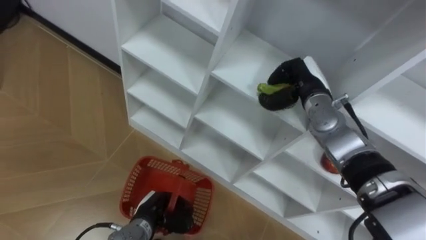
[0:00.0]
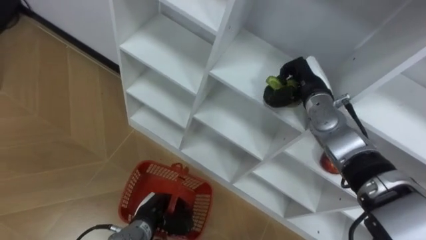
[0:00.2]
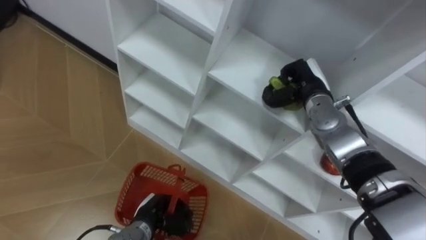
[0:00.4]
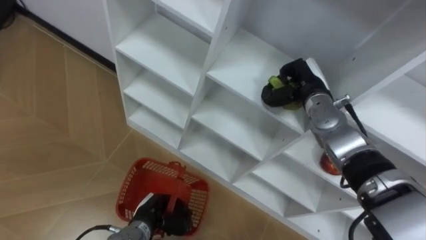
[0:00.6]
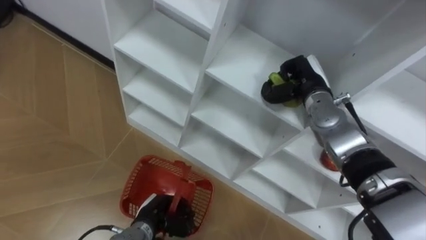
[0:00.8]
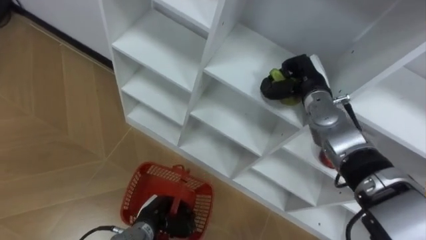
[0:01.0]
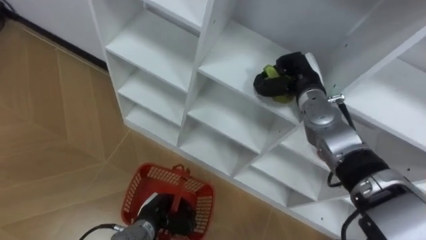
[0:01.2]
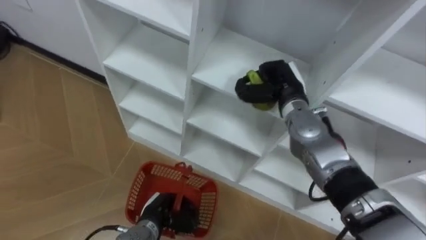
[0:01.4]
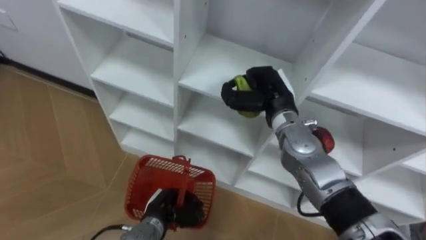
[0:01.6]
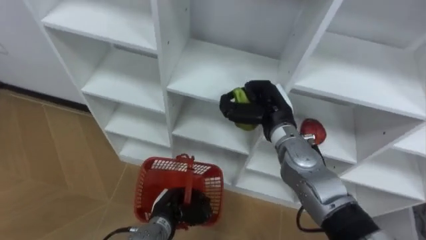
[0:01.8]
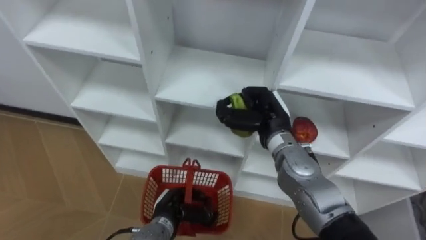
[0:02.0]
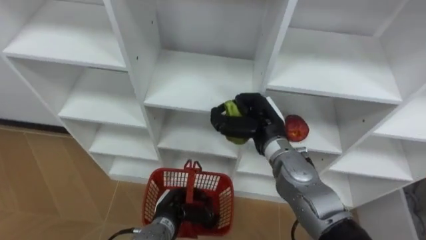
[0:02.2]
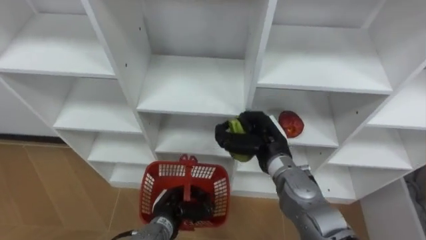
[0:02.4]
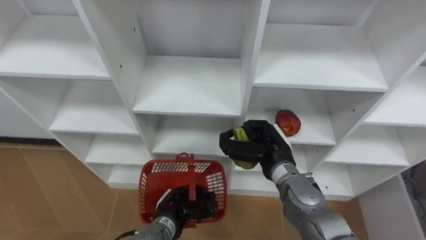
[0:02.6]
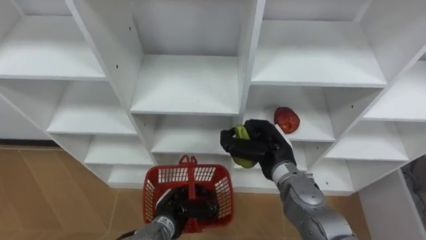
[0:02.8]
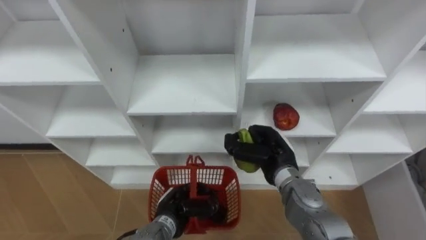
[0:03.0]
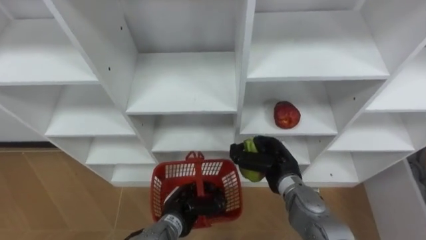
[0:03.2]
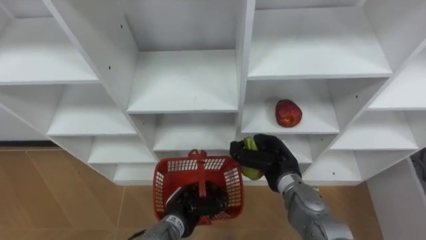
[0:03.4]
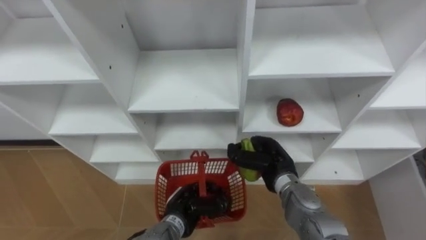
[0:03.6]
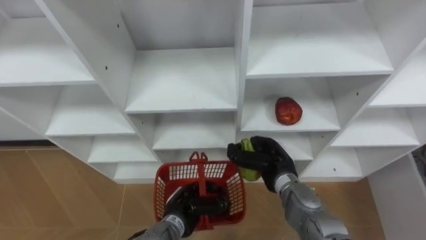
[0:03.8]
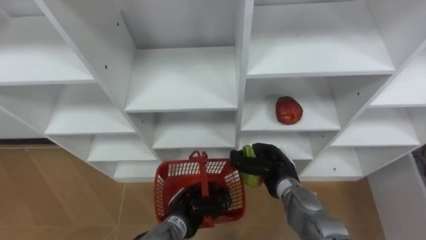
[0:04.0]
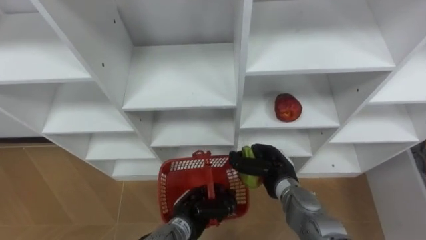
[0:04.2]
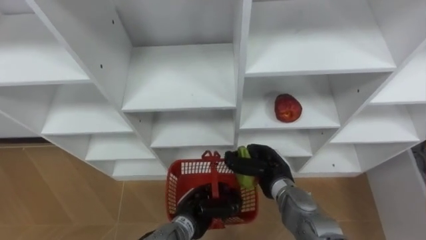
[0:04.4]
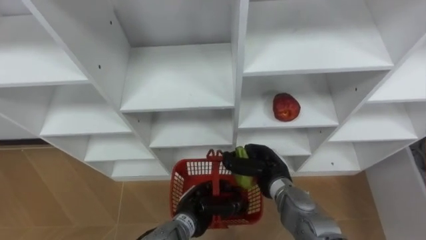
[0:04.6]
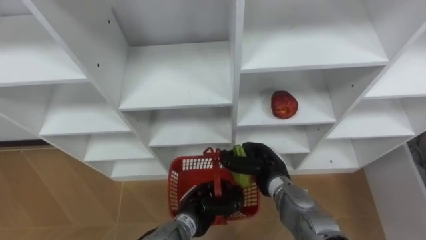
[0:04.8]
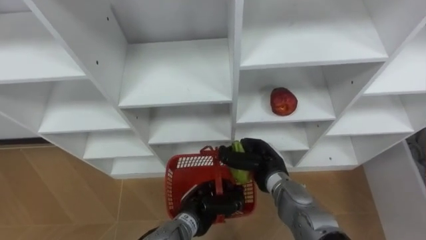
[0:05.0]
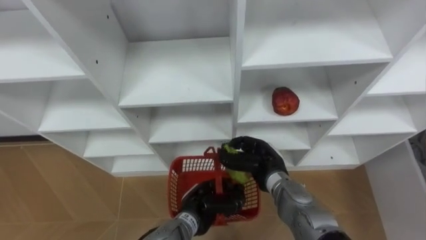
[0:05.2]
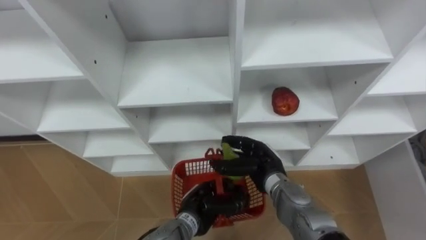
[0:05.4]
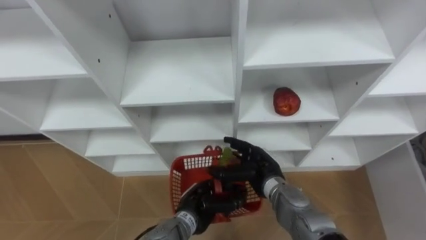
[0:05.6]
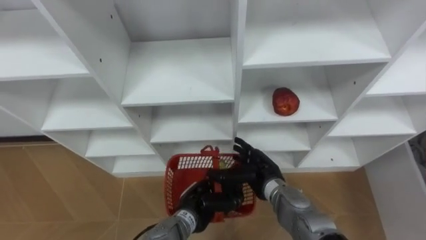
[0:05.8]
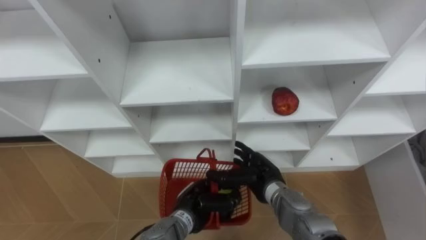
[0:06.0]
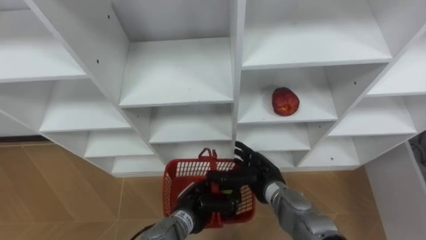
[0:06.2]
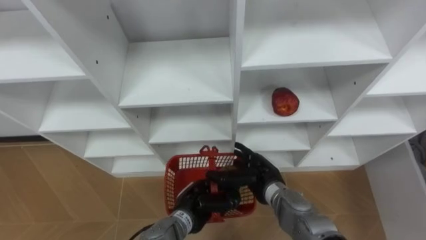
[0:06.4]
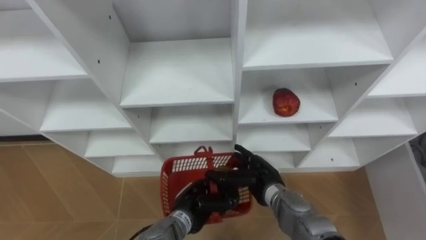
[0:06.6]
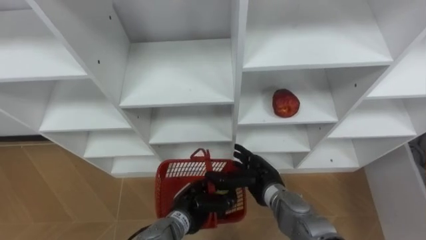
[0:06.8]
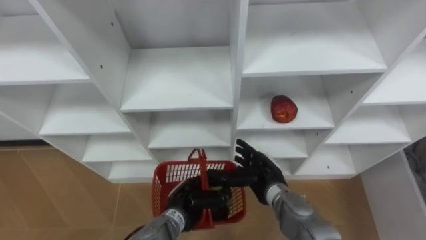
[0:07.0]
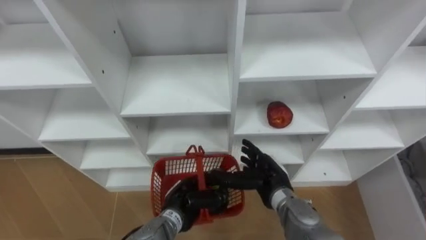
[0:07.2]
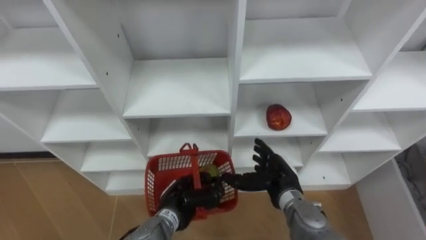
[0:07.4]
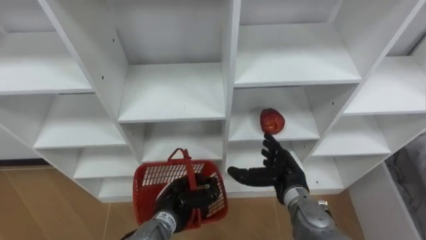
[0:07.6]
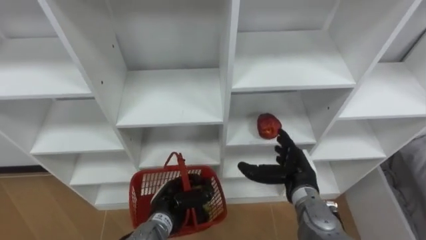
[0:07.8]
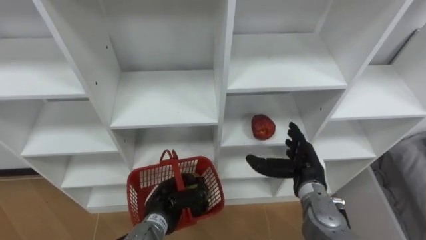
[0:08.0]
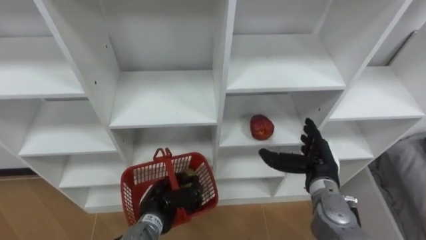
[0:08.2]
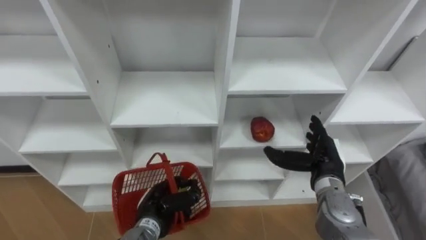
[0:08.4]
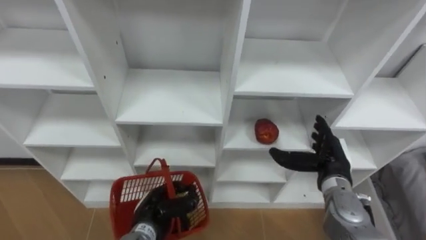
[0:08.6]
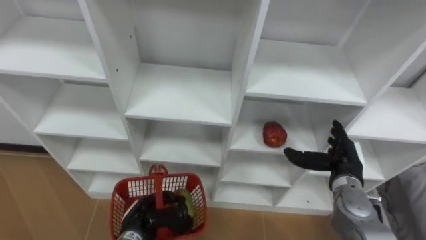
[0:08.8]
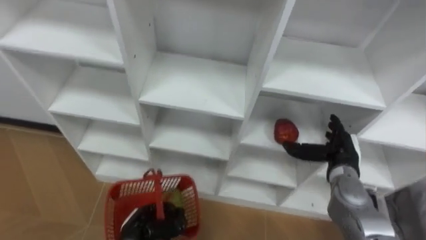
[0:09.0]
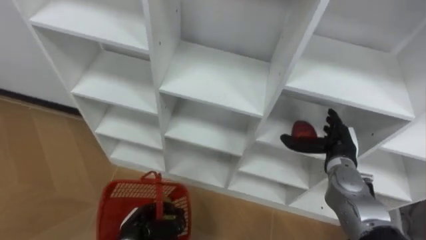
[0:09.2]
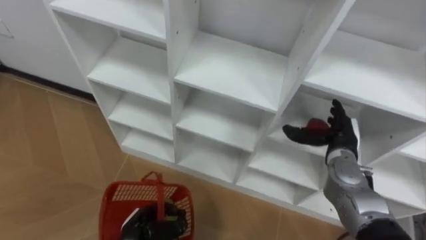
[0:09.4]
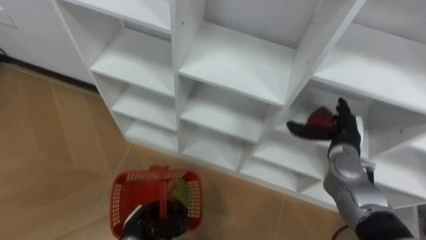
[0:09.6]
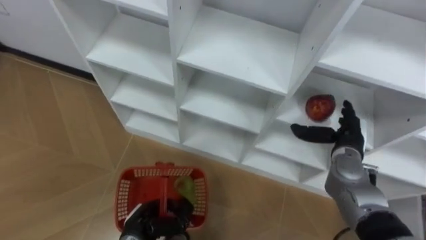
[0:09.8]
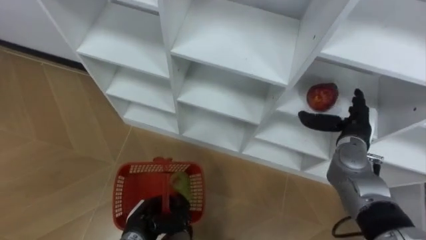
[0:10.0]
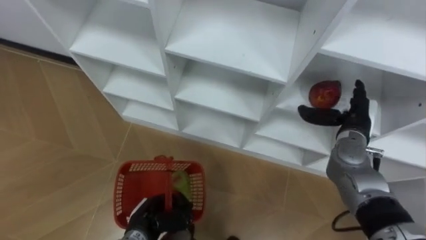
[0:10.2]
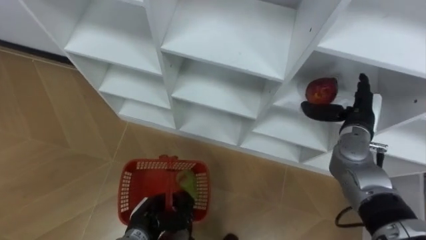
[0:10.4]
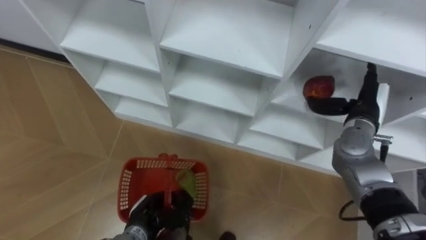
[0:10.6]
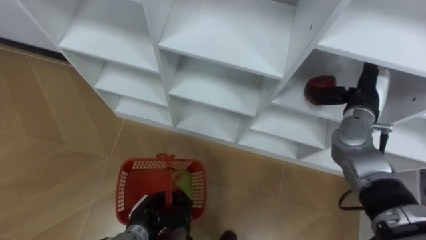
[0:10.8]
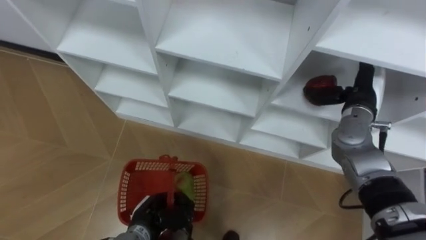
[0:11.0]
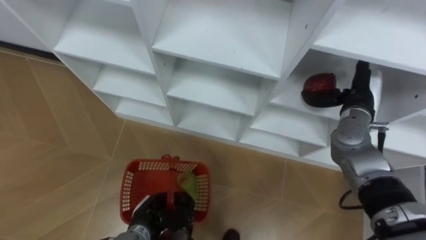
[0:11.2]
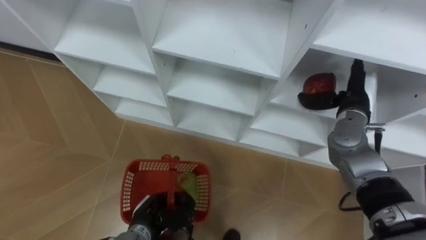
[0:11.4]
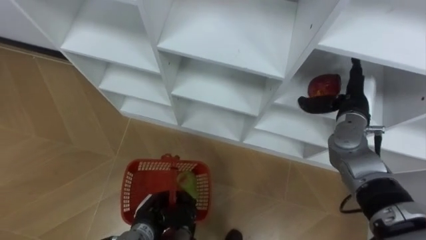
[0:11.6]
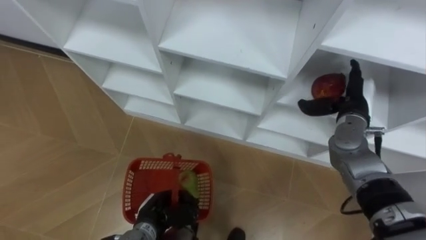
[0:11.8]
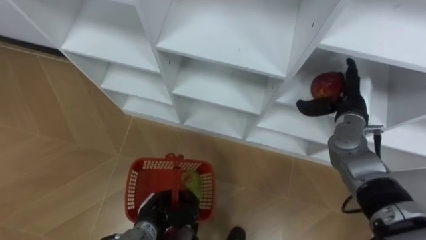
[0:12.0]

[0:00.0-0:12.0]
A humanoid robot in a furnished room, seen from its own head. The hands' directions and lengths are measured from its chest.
Task of the whole recording: Hold the basket and collect the fruits from 3 different cells of the closet into it.
0:00.0 to 0:01.6: The right hand travels to the left by about 5 cm.
0:01.6 to 0:03.0: The right hand travels downward and backward by some 10 cm.
0:03.0 to 0:04.4: The right hand shifts about 5 cm downward.
0:04.4 to 0:06.0: The right hand opens up.
0:06.0 to 0:07.6: The right hand travels to the right by some 5 cm.
0:07.6 to 0:09.0: The left hand travels to the left by roughly 10 cm, while the right hand travels to the right by some 10 cm.
0:09.0 to 0:10.4: The right hand travels upward and forward by roughly 10 cm.

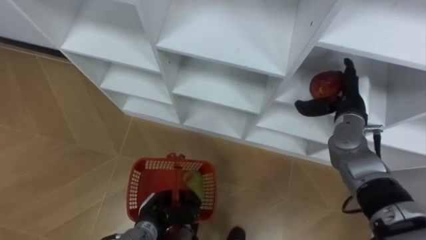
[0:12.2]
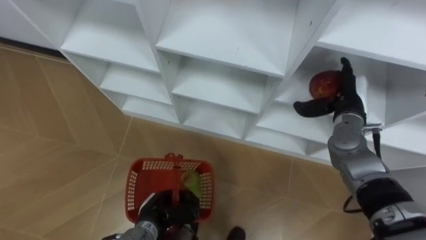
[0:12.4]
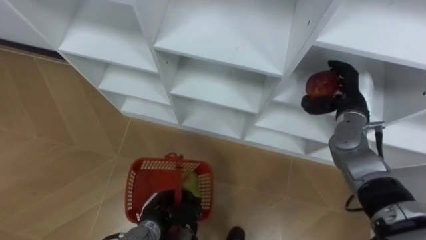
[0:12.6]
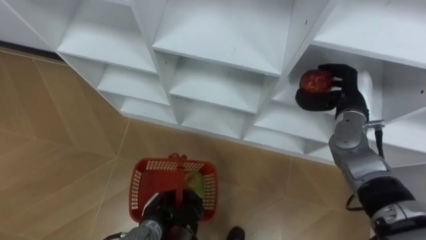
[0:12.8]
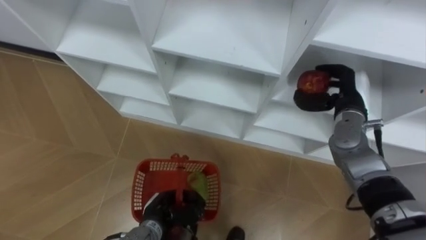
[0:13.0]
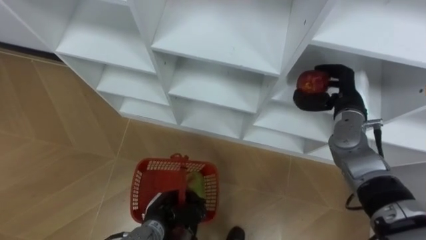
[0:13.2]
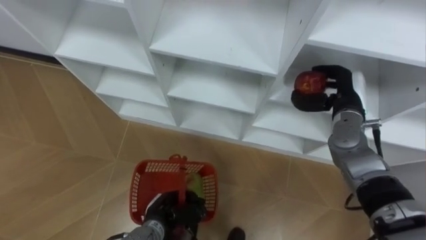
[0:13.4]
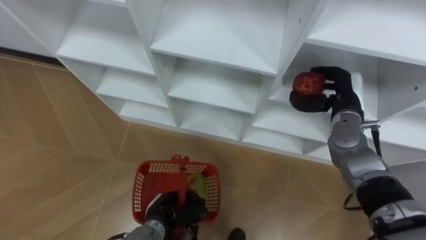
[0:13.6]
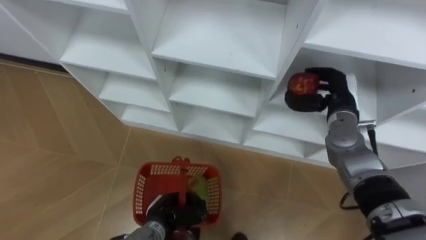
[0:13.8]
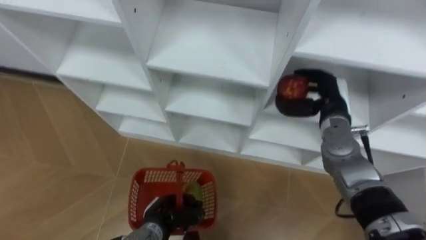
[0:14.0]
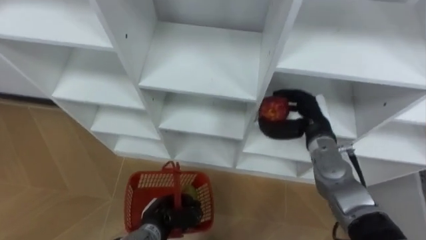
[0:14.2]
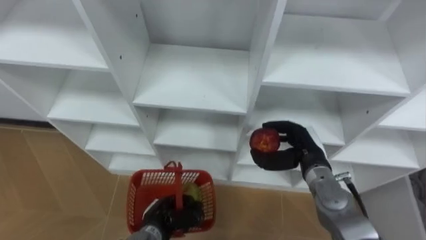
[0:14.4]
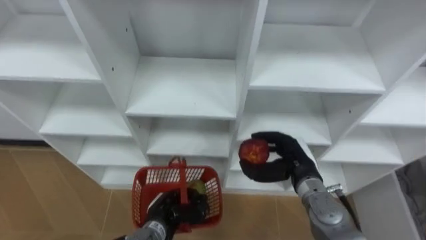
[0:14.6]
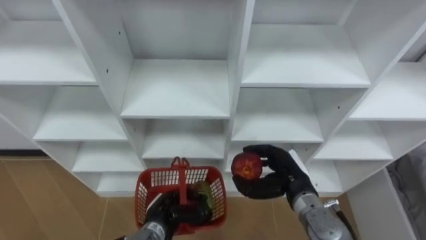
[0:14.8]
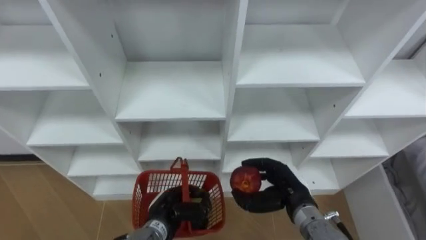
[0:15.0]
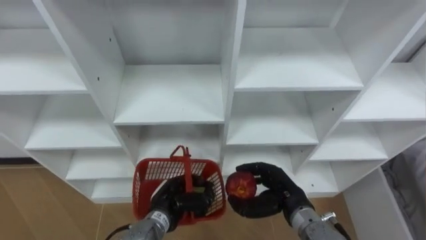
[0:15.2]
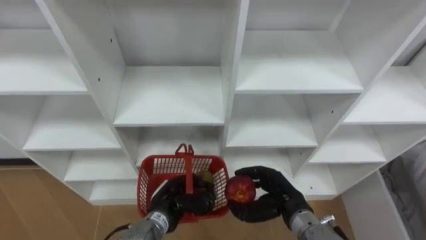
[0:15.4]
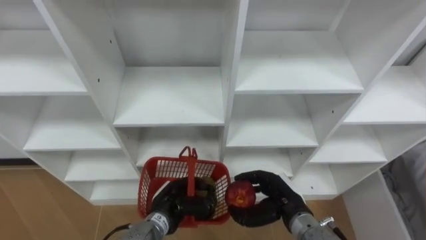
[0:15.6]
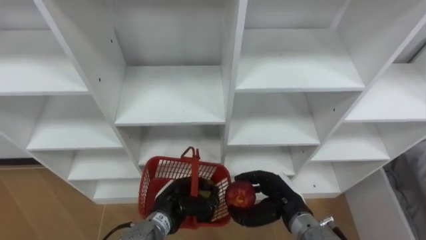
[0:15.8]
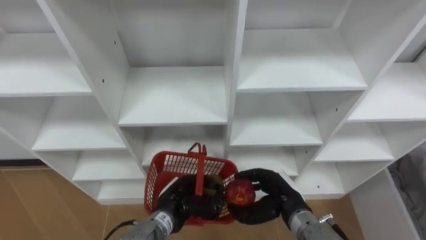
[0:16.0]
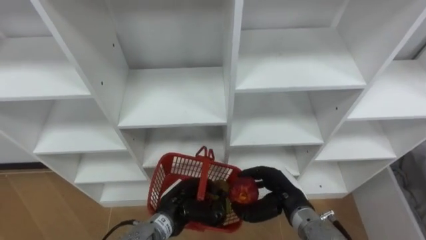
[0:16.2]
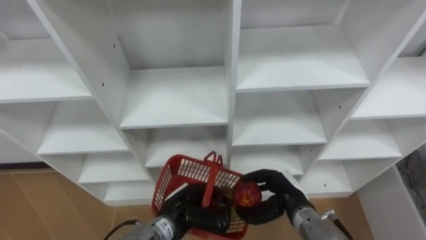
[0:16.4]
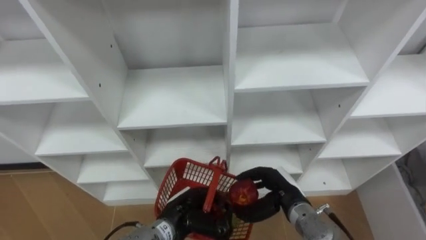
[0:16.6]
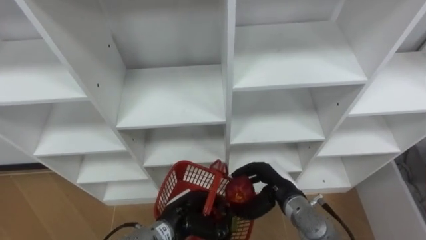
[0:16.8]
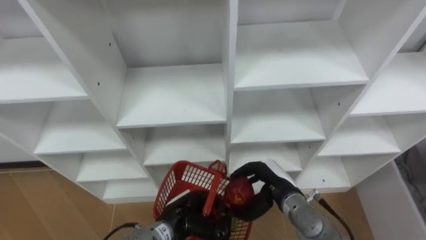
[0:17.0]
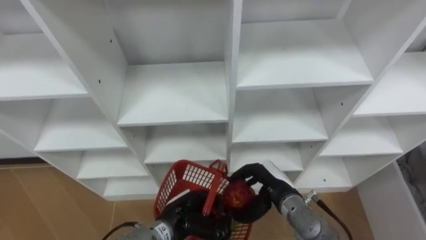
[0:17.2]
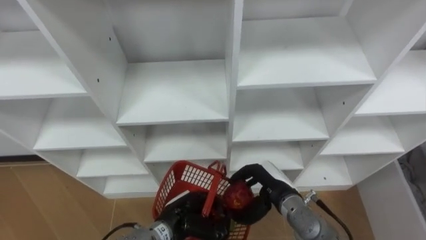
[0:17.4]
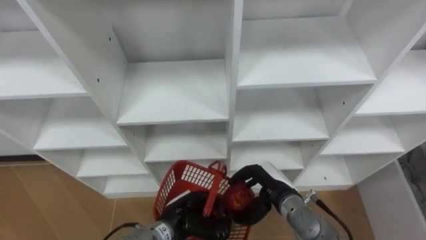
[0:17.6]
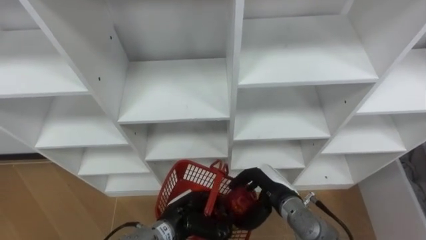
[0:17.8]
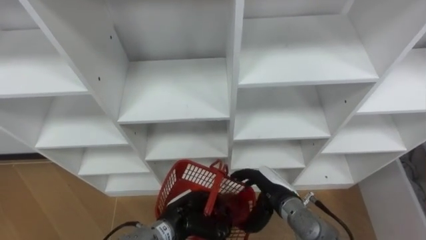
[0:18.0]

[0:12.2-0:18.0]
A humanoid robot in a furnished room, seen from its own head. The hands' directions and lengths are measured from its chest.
Task of the whole recording: Hold the basket and collect the fruits from 3 different cells of the closet into it.
0:12.2 to 0:13.6: The right hand closes.
0:13.6 to 0:15.0: The right hand travels backward, downward and to the left by approximately 20 cm.
0:15.0 to 0:16.6: The left hand ends up roughly 5 cm from where it was.
